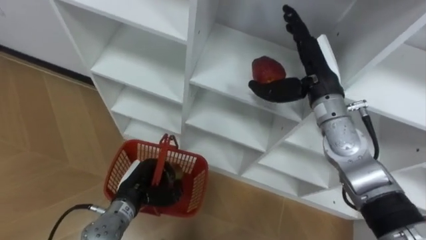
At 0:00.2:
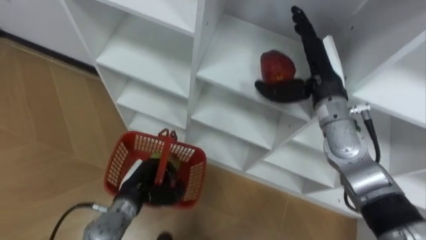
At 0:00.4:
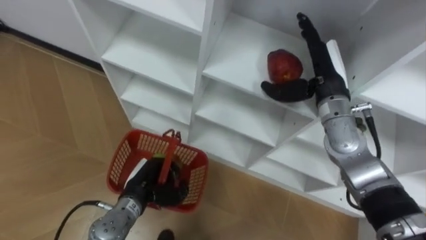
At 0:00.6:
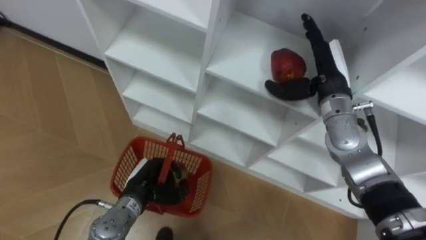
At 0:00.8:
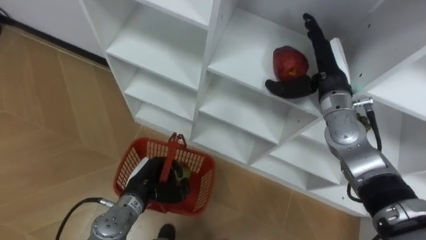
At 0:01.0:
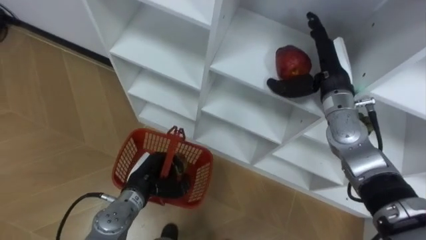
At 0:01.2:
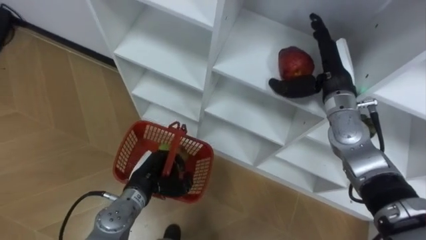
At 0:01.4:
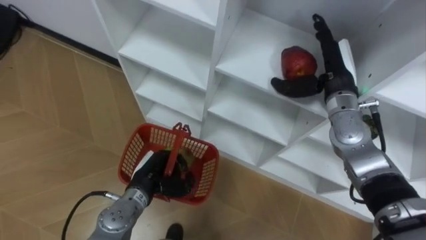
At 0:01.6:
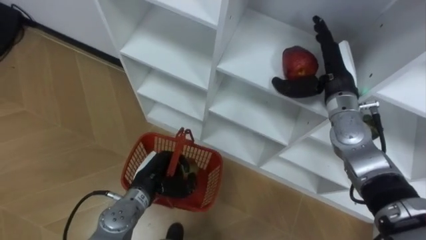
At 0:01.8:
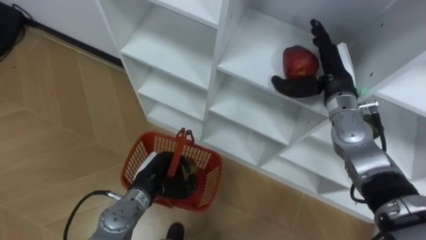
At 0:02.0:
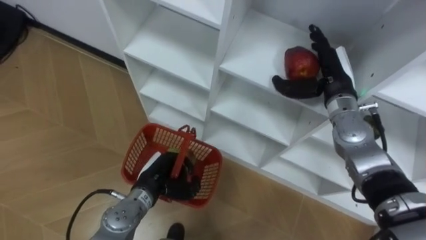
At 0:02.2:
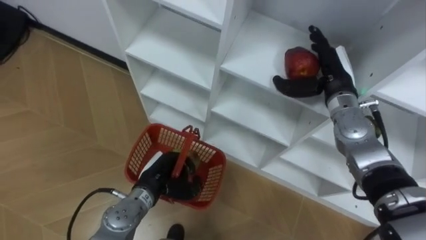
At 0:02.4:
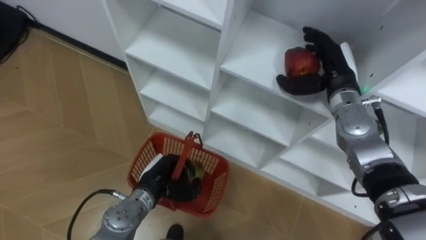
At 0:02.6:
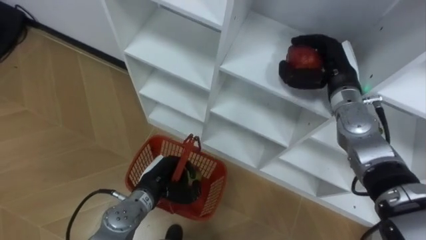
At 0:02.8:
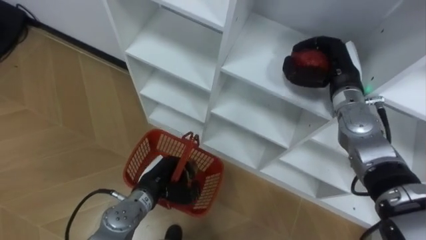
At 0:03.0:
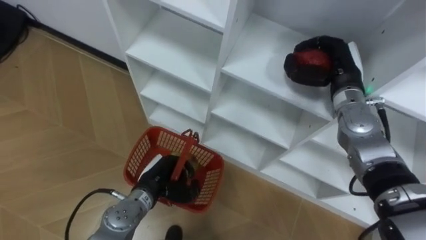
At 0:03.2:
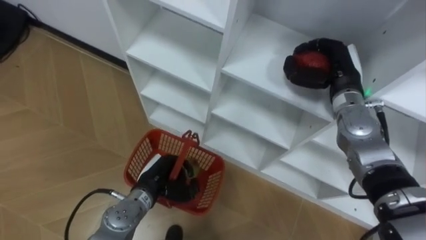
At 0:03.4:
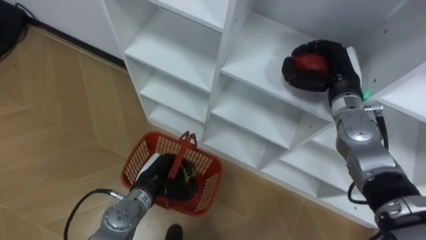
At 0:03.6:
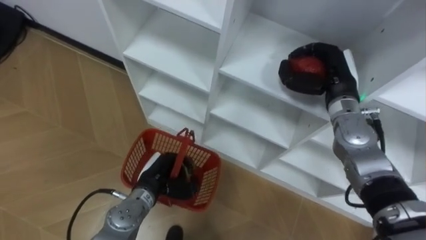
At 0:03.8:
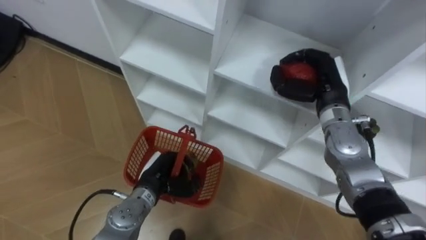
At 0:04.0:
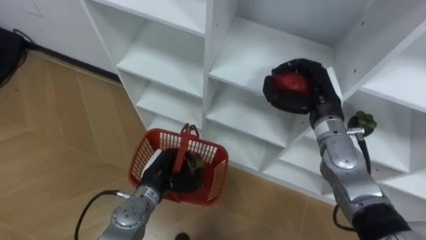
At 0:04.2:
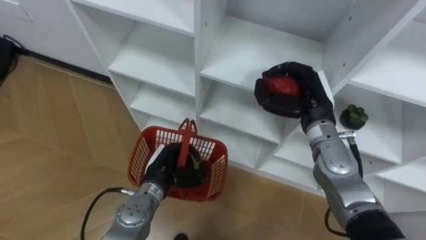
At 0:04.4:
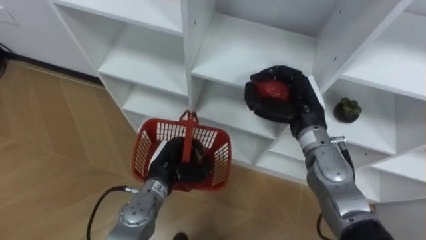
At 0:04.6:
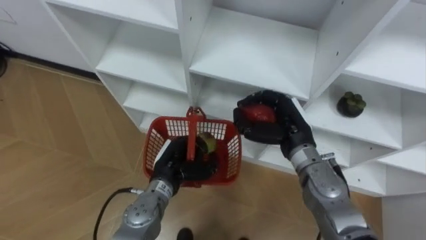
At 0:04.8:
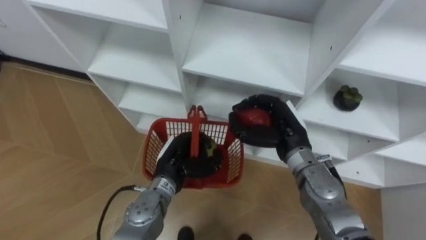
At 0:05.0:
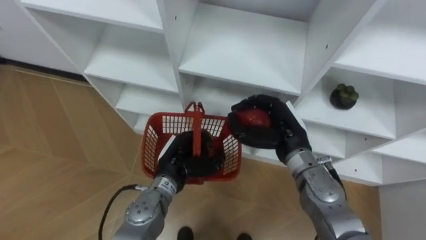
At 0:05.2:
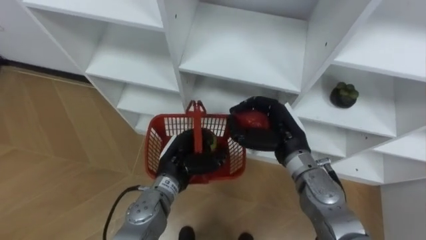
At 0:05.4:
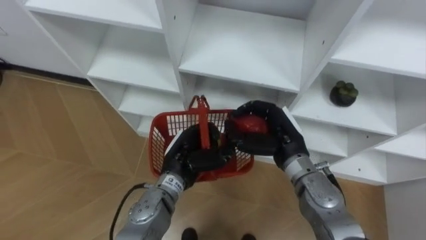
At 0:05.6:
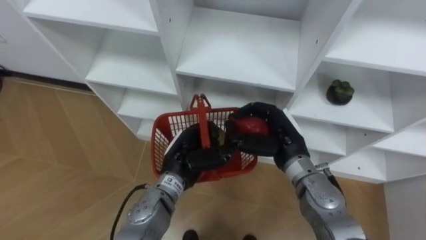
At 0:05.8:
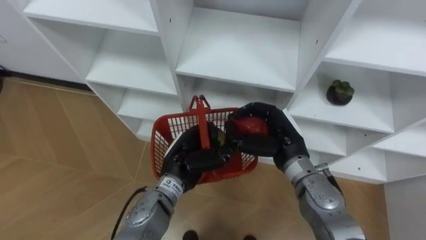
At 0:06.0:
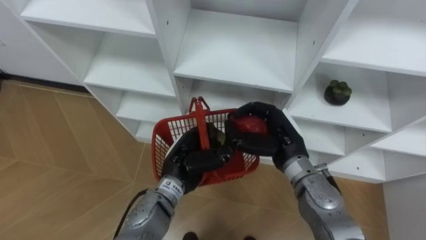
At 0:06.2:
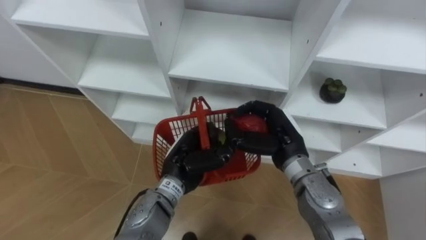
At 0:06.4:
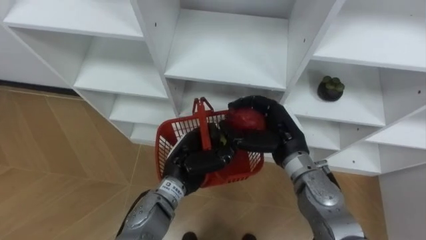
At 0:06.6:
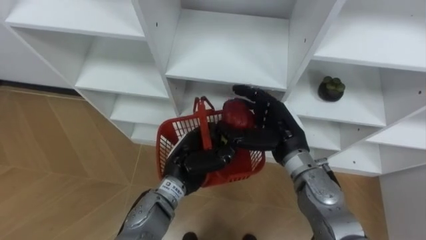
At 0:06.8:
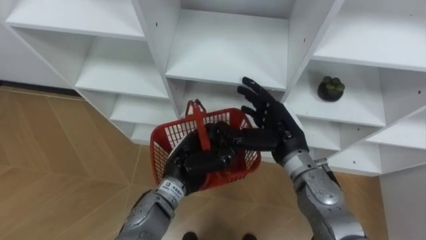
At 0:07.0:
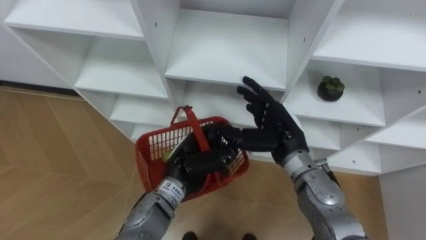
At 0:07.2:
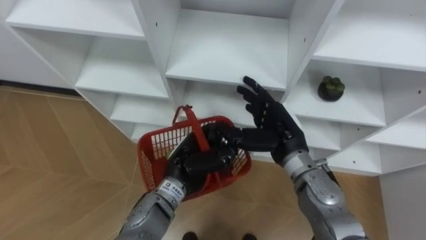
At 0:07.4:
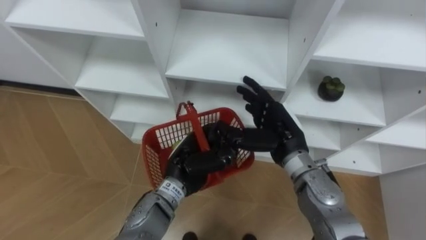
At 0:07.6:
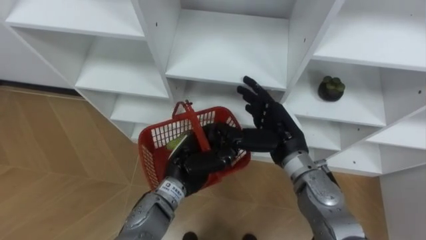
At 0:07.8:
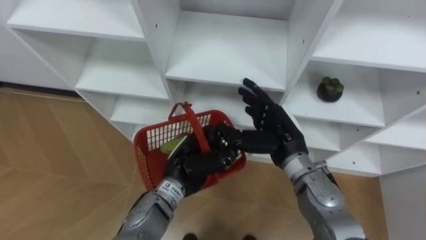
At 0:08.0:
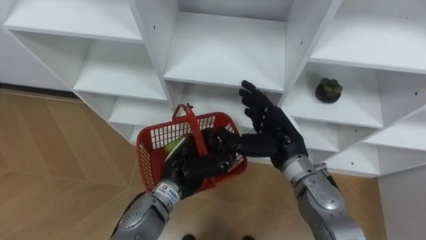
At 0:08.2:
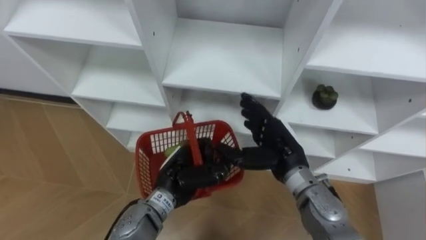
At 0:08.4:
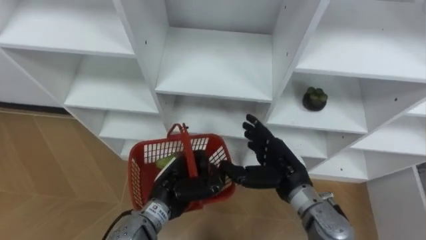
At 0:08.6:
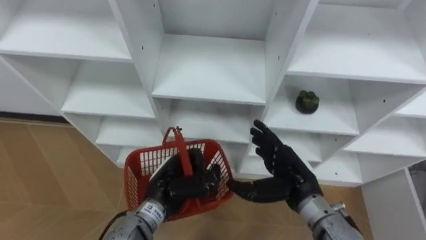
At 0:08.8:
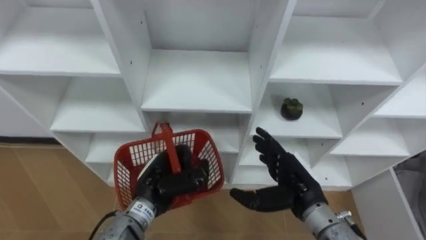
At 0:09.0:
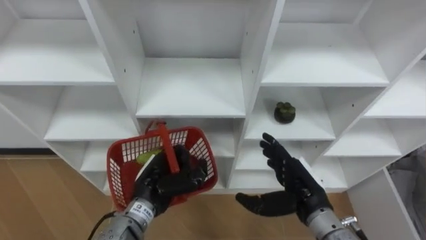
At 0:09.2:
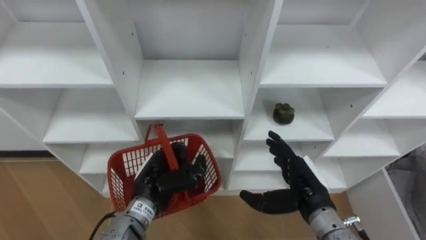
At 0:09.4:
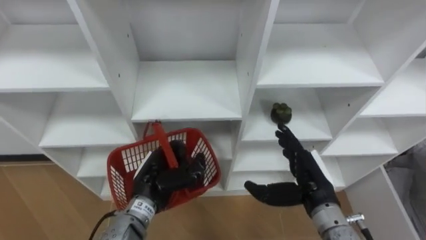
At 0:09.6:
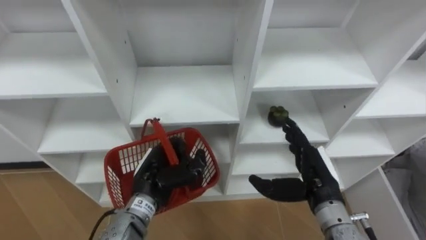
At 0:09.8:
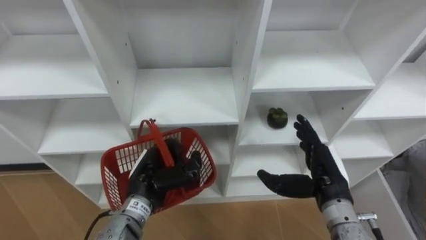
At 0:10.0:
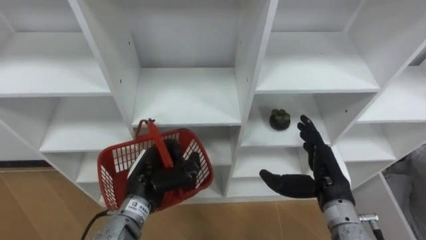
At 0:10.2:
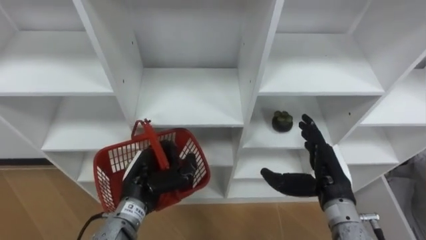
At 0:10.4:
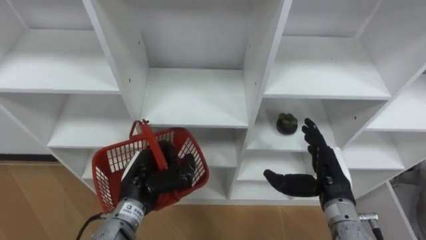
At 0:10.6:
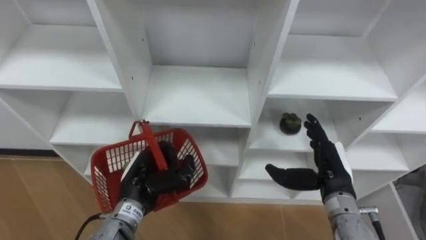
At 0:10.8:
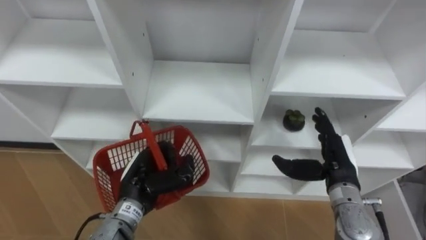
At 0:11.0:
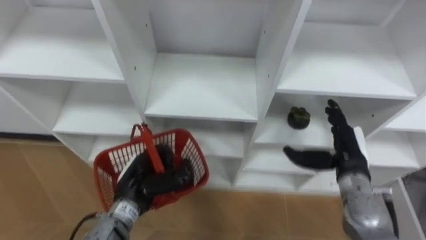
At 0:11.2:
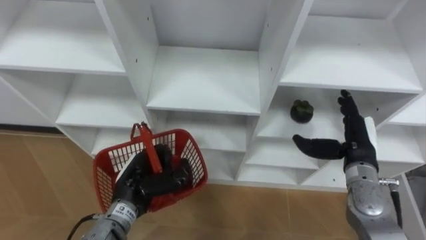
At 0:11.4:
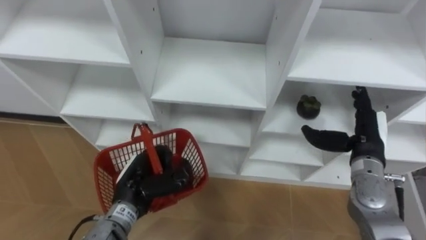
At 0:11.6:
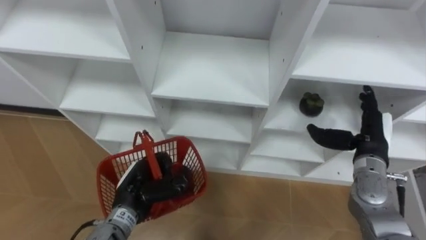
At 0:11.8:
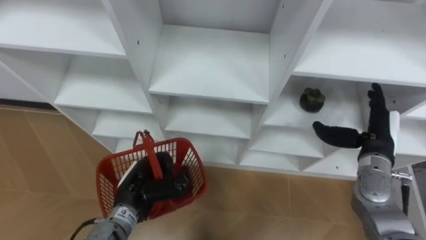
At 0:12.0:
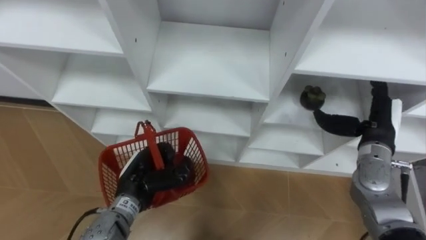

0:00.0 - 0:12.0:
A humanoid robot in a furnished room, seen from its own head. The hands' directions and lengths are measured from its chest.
Task of the whole recording: Hold the basket and collect the fruits from 3 different cells of the closet into it.
0:00.0 - 0:01.6: The right hand moves about 5 cm.
0:01.6 - 0:03.0: The right hand closes its fingers.
0:03.0 - 0:04.4: The right hand is displaced to the left and backward by some 10 cm.
0:04.4 - 0:06.0: The left hand changes place by roughly 5 cm; the right hand shifts by some 5 cm.
0:06.0 - 0:07.6: The right hand opens up.
0:07.6 - 0:09.0: The left hand goes roughly 5 cm to the left; the right hand is displaced backward and downward by roughly 10 cm.
0:09.0 - 0:10.4: The right hand heads to the right, covering approximately 5 cm.
0:10.4 - 0:12.0: The right hand is displaced to the right and forward by approximately 10 cm.

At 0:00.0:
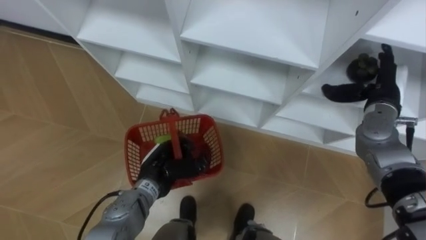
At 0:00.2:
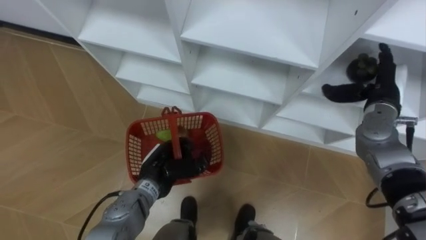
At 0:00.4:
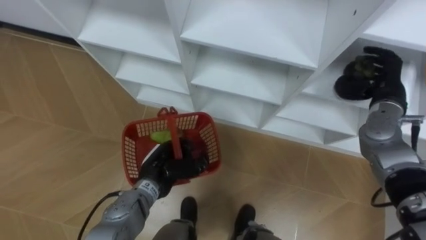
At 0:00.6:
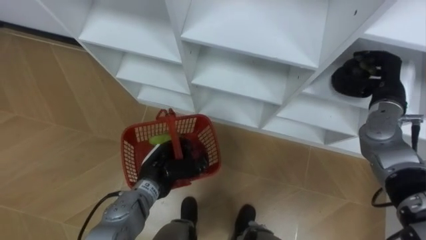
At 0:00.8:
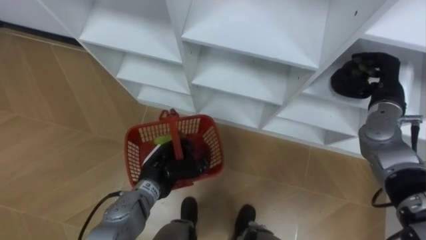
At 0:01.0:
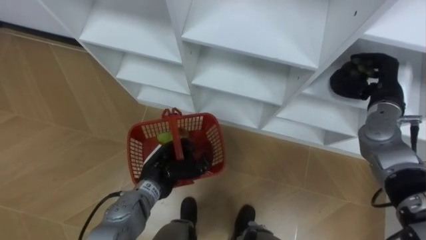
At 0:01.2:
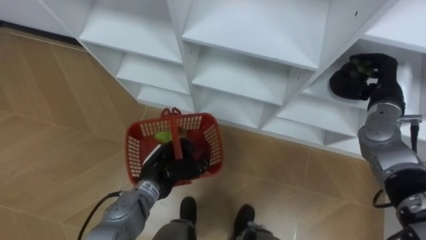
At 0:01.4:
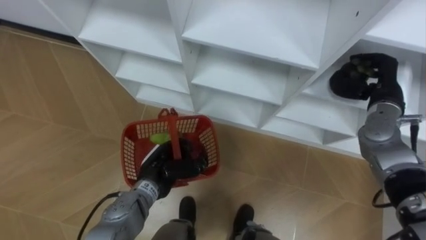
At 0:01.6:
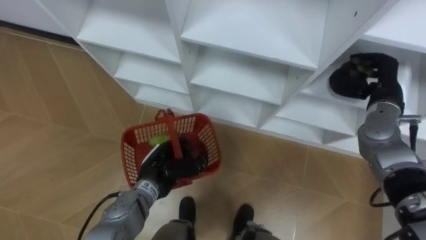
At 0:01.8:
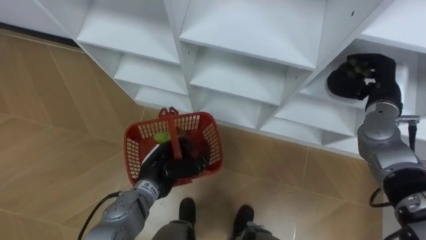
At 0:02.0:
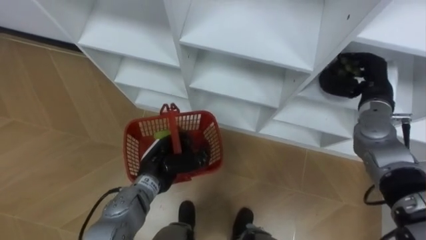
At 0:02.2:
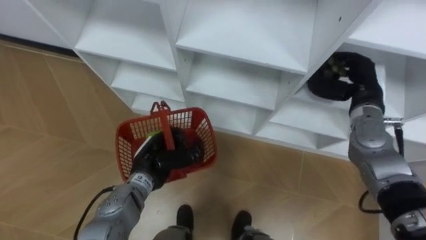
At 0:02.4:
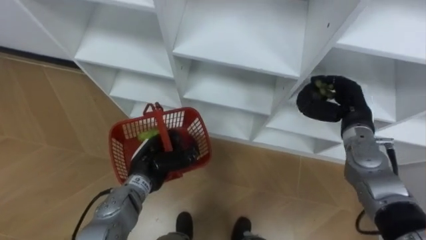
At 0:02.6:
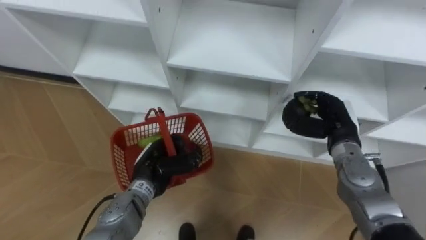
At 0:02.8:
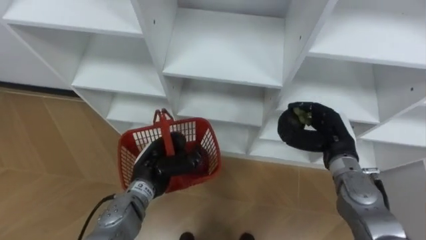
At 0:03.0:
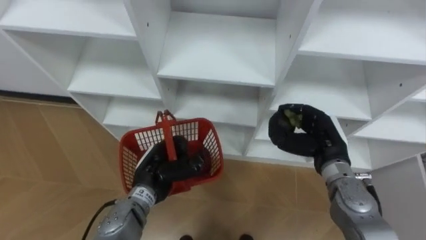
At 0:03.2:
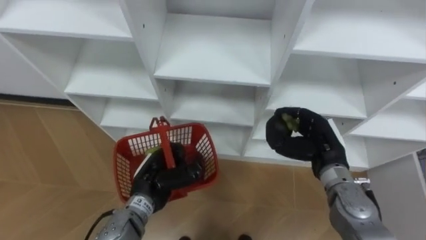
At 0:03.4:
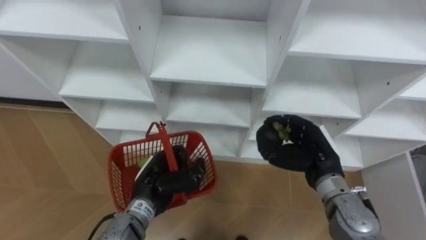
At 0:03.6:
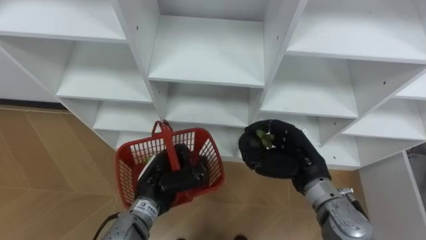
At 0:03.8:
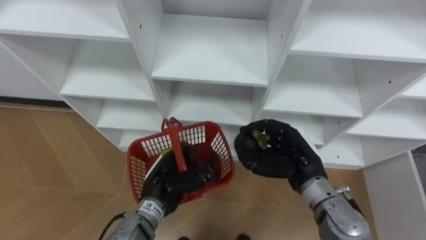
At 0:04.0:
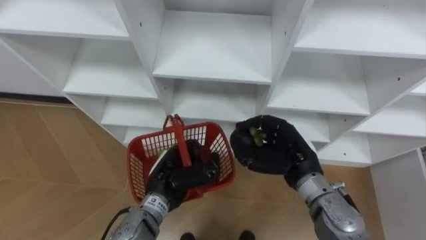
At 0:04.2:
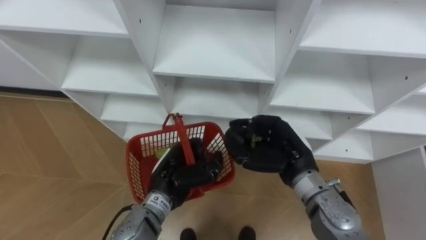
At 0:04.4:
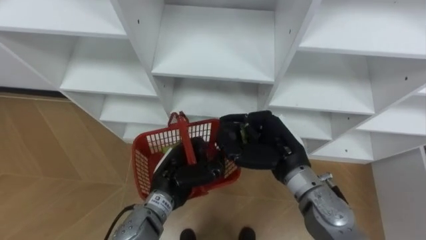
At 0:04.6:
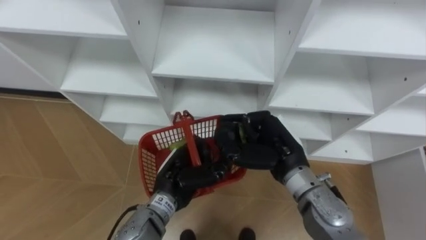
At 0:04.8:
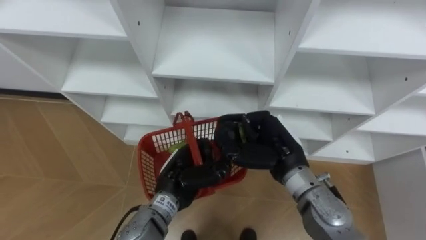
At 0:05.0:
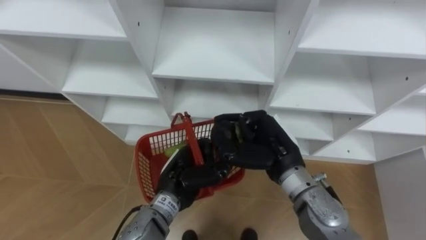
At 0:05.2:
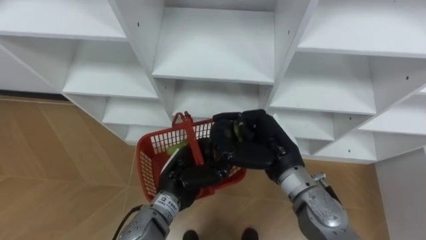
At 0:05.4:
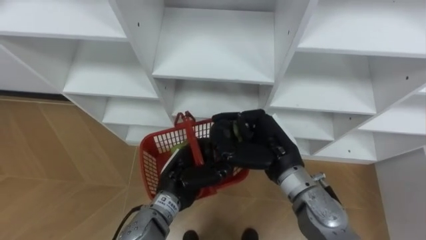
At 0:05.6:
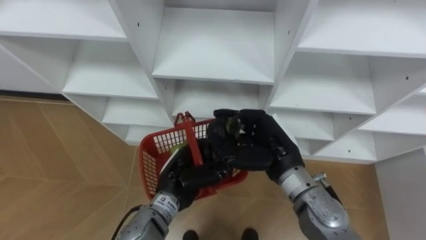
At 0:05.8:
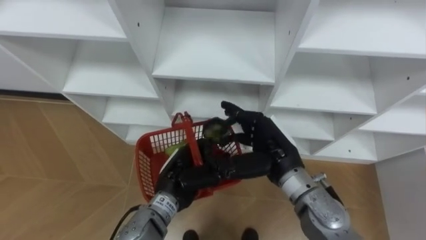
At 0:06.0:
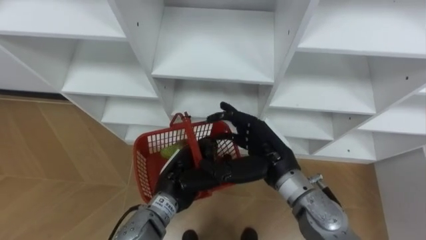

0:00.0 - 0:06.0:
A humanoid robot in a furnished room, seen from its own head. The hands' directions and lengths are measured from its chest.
Task of the whole recording: Hold the basket and collect the fruits from 3 different cells of the closet into it.
0:00.0 - 0:01.6: The right hand closes its fingers.
0:01.6 - 0:03.0: The right hand travels to the left, backward and downward by approximately 15 cm.
0:03.0 - 0:04.4: The right hand shifts some 10 cm to the left.
0:04.4 - 0:06.0: The right hand opens.
